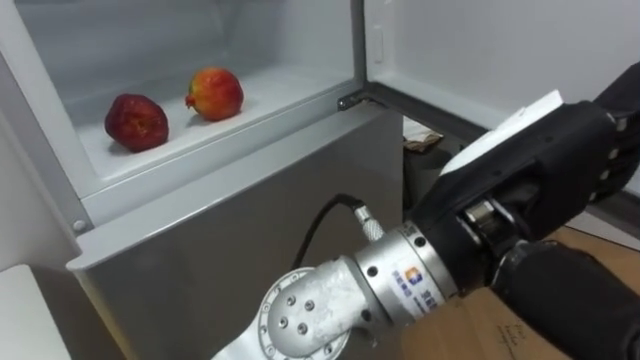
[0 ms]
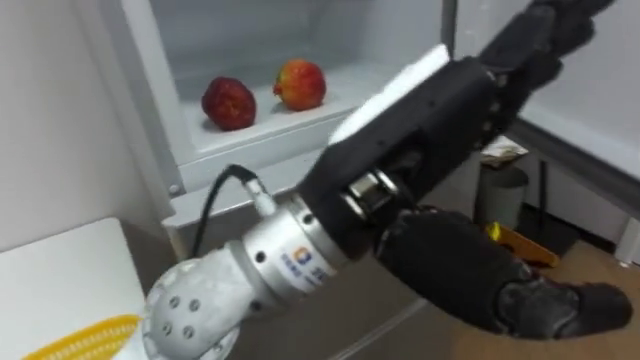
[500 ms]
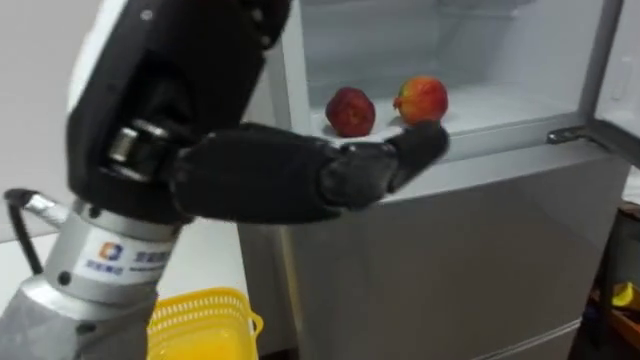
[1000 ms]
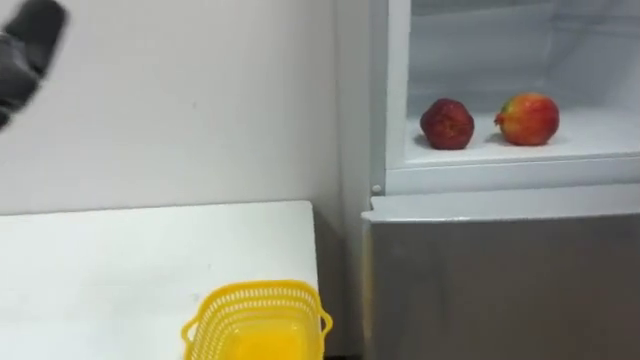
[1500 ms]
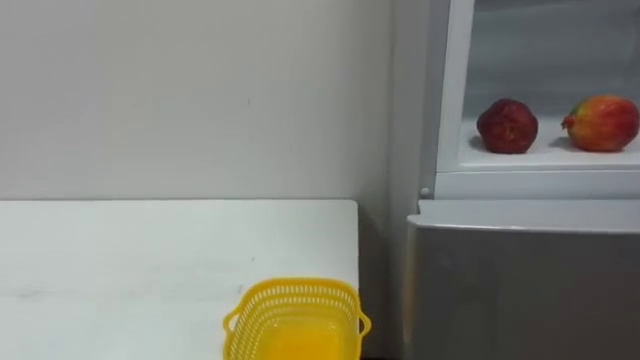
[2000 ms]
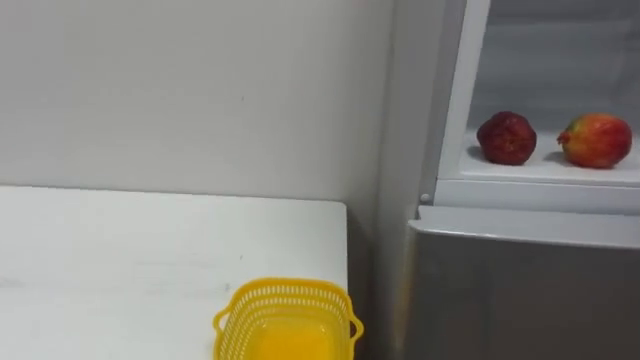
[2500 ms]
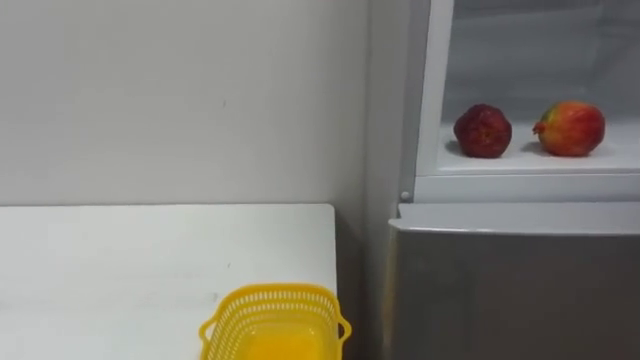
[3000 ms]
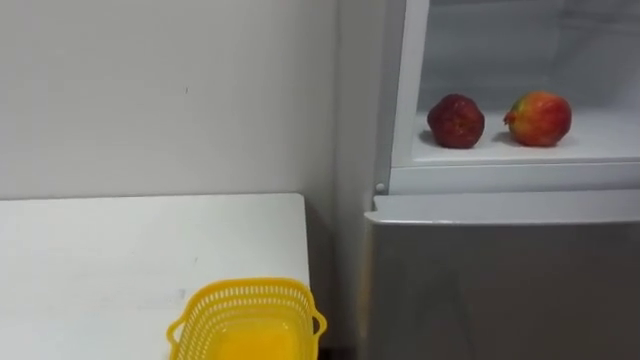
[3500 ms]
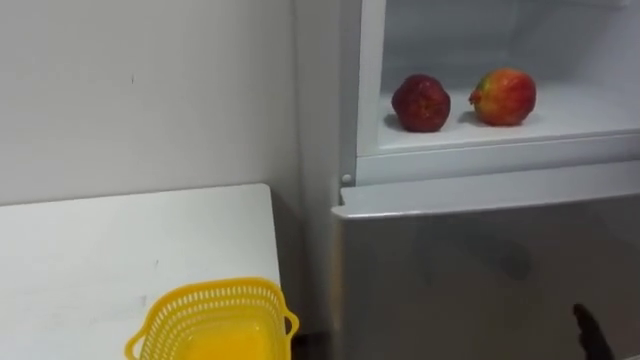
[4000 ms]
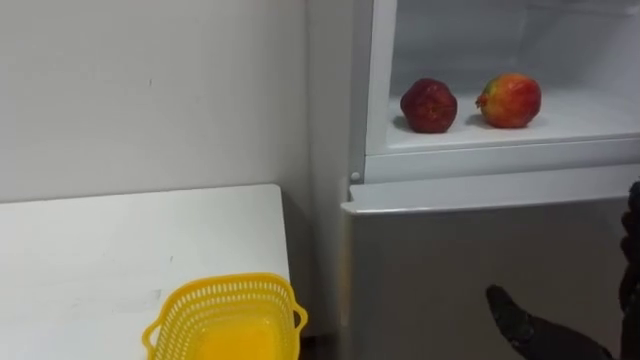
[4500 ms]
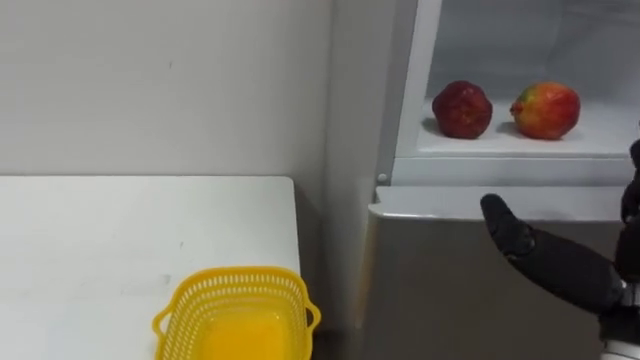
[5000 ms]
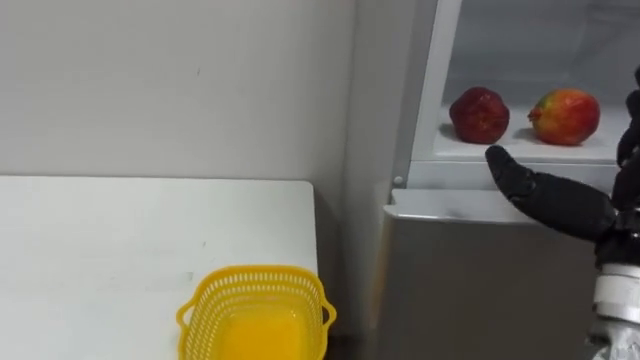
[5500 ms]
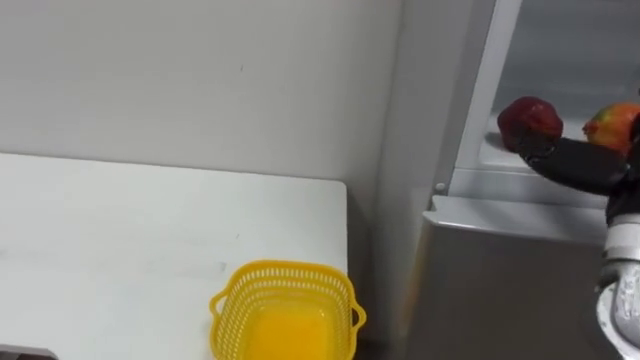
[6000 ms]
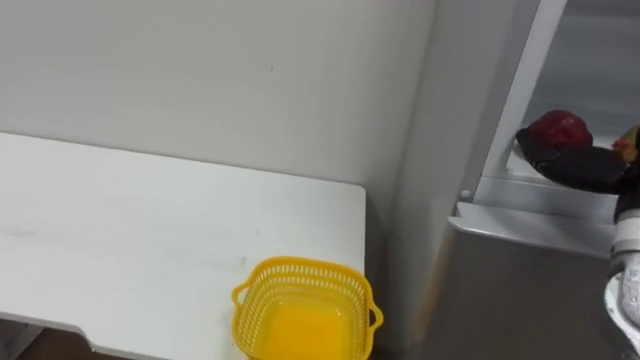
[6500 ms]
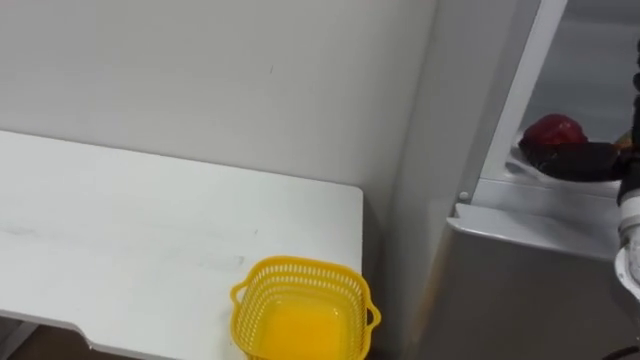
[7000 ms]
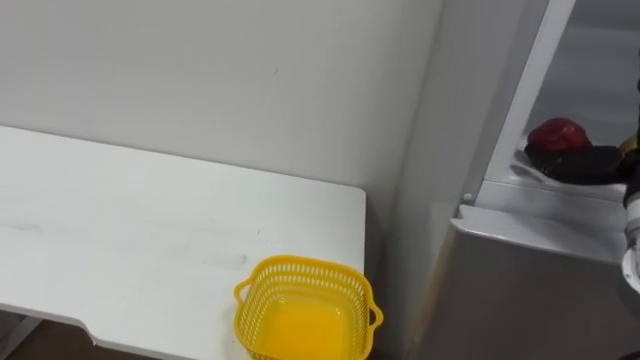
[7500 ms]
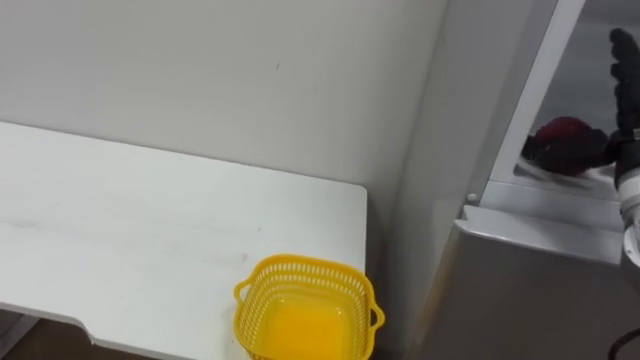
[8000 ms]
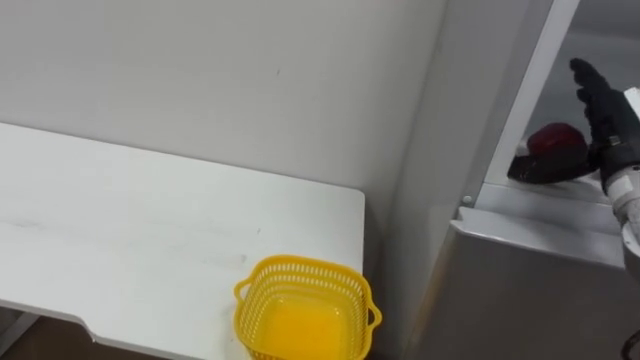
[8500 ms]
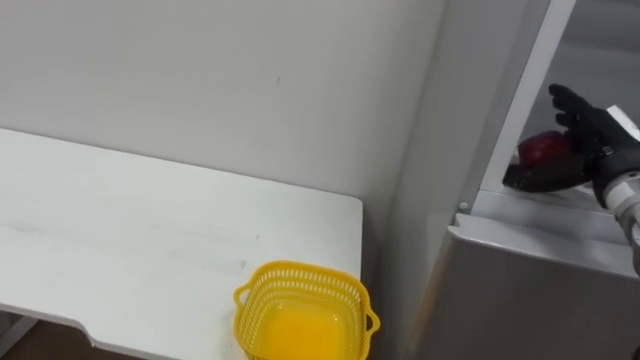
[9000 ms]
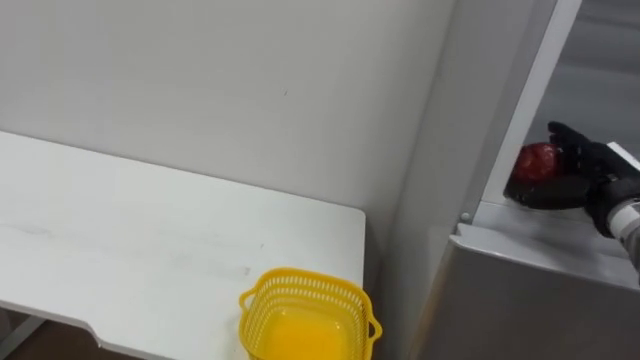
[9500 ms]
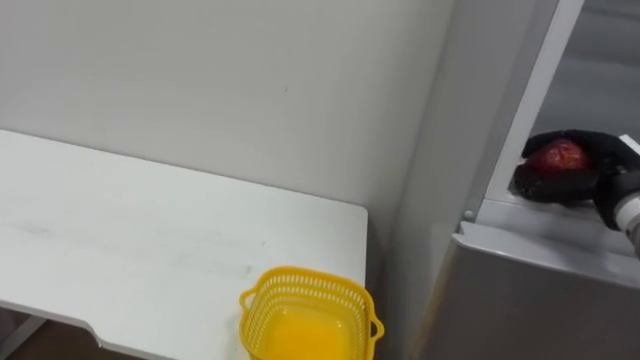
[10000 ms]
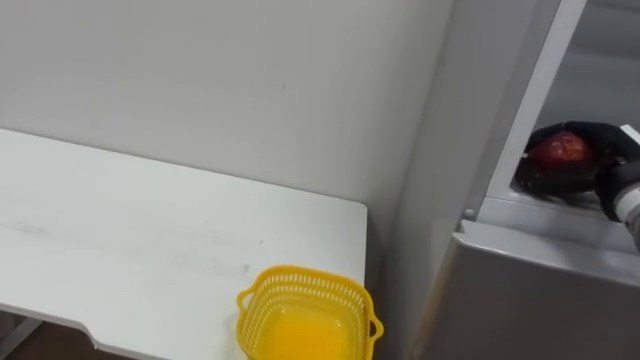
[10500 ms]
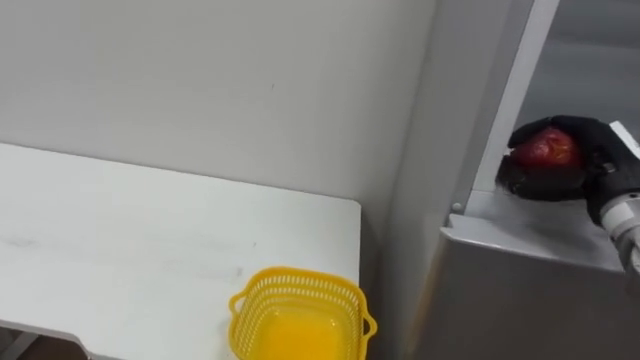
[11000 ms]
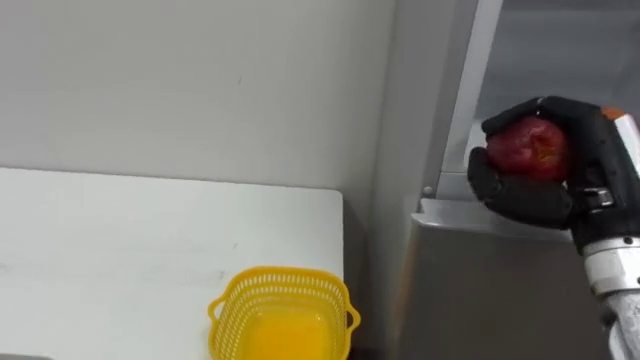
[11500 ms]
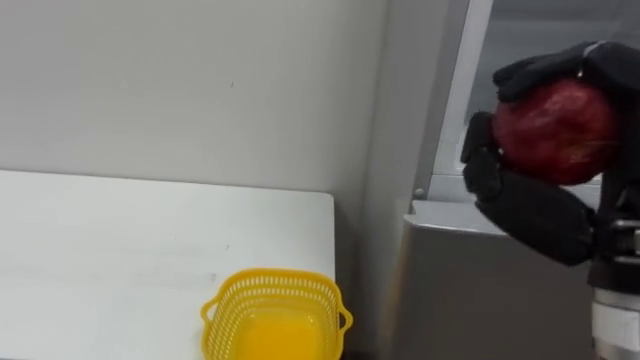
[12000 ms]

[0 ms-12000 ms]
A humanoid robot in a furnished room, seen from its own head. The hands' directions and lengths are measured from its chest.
Task of the whole recording: Open the refrigerator door, take out the apple and the pomegranate, place them in the fruit basket on the left, and close the refrigerator door.
8000 ms to 10000 ms: The right hand is displaced downward by about 5 cm, and closes its fingers.
10000 ms to 12000 ms: The right hand travels backward, to the left and upward by some 25 cm.

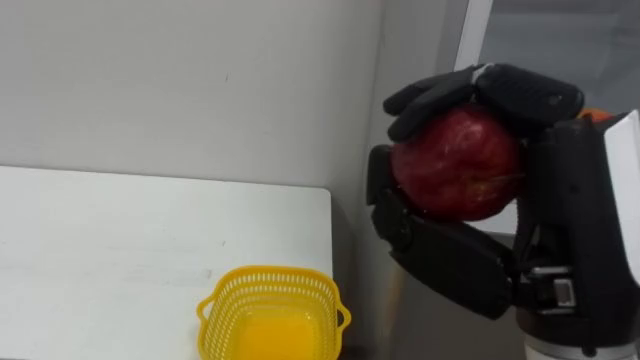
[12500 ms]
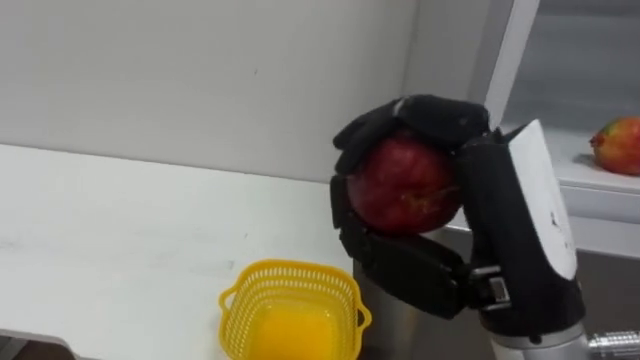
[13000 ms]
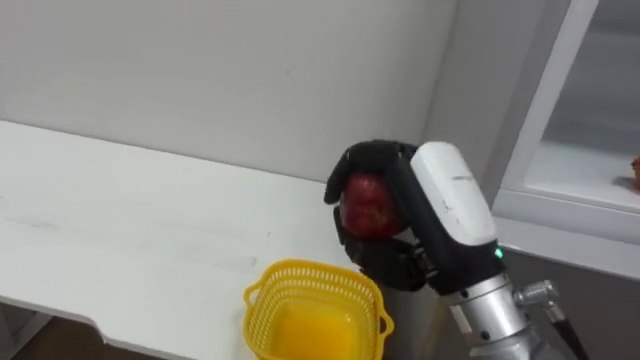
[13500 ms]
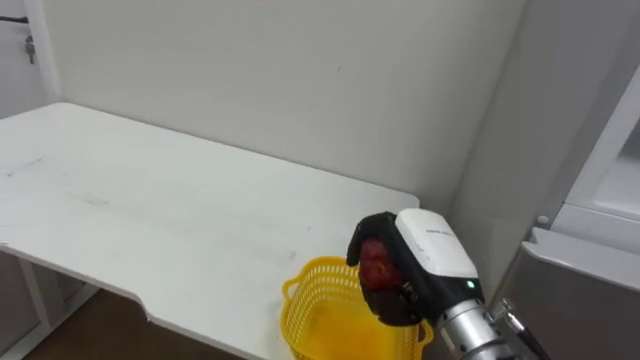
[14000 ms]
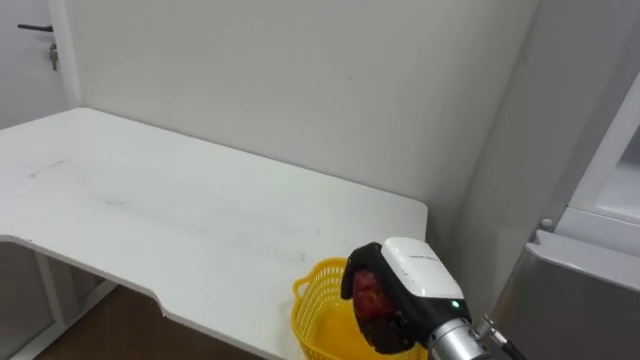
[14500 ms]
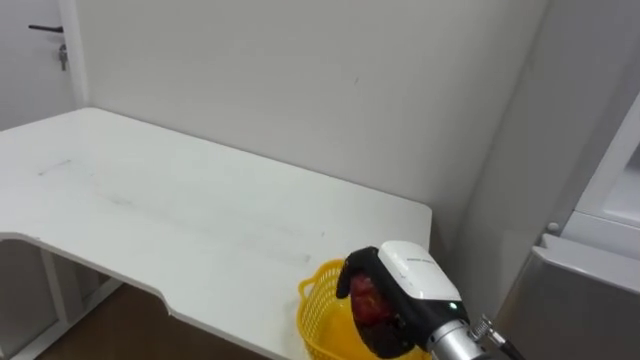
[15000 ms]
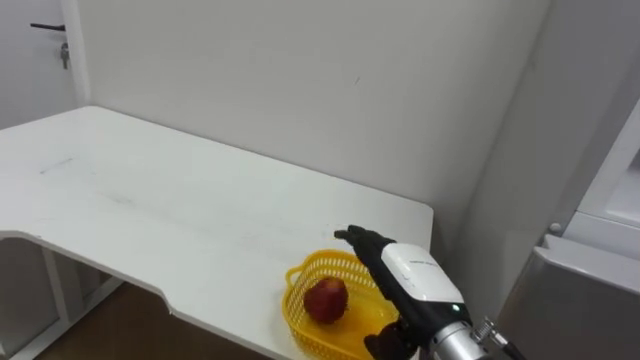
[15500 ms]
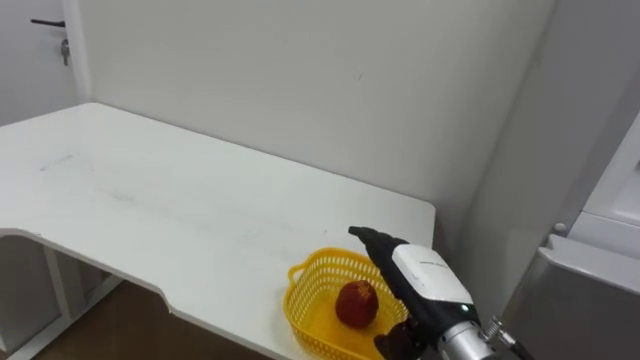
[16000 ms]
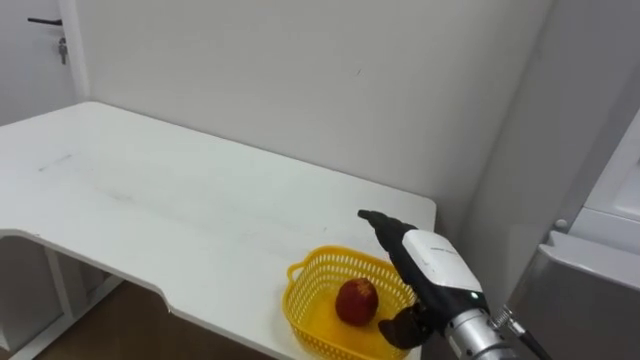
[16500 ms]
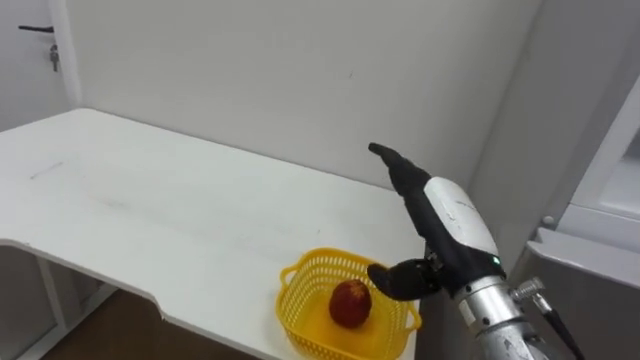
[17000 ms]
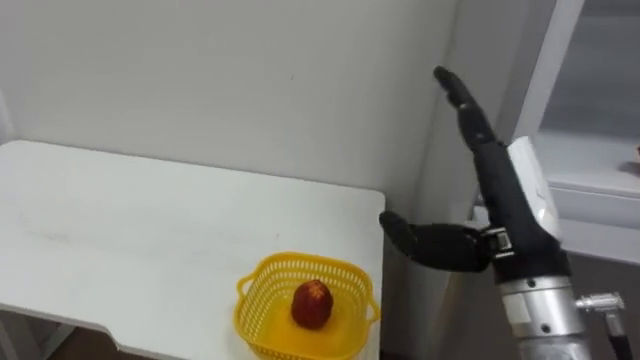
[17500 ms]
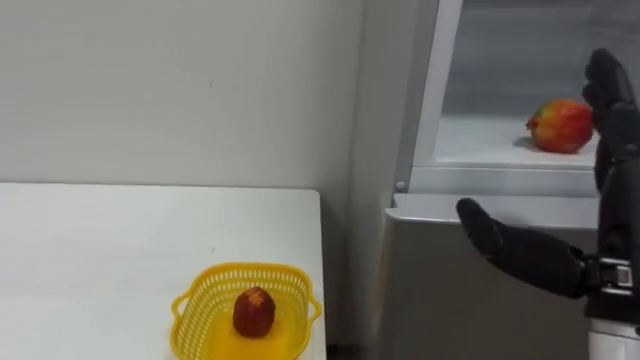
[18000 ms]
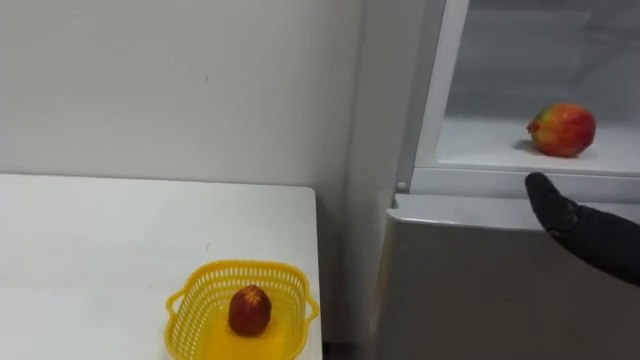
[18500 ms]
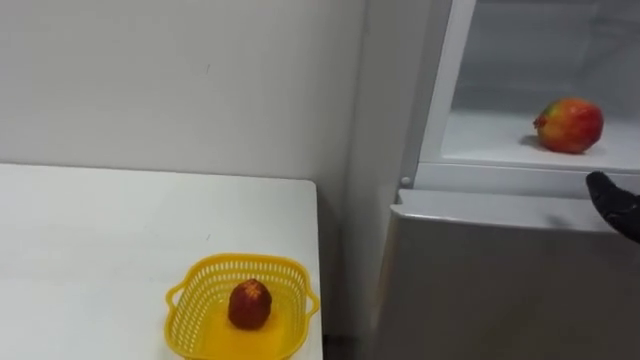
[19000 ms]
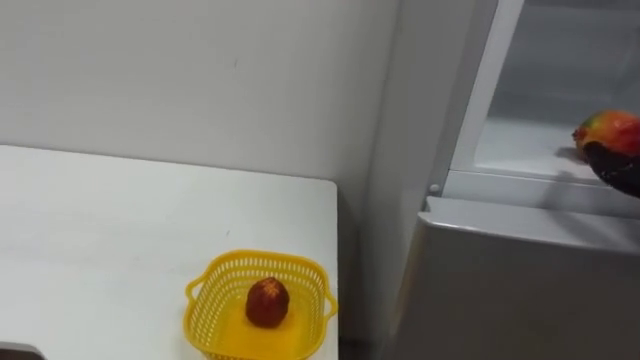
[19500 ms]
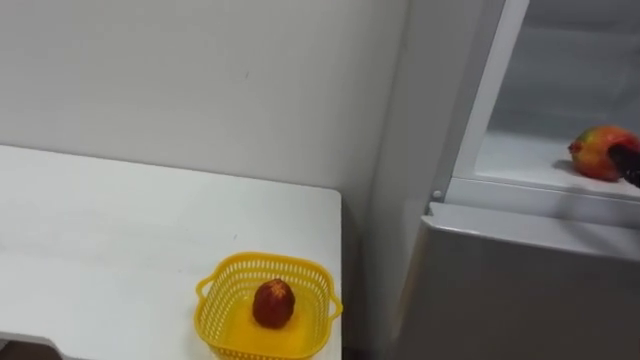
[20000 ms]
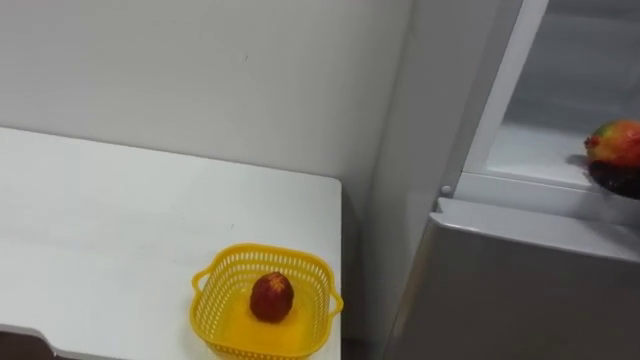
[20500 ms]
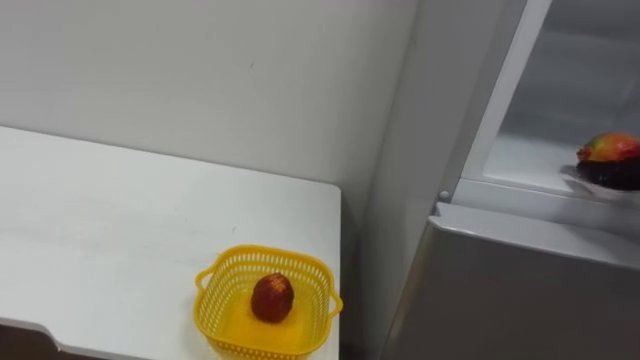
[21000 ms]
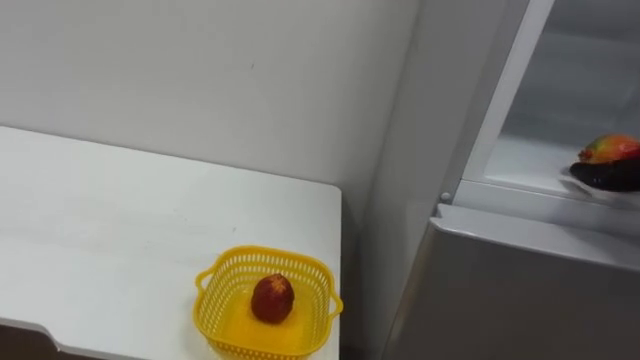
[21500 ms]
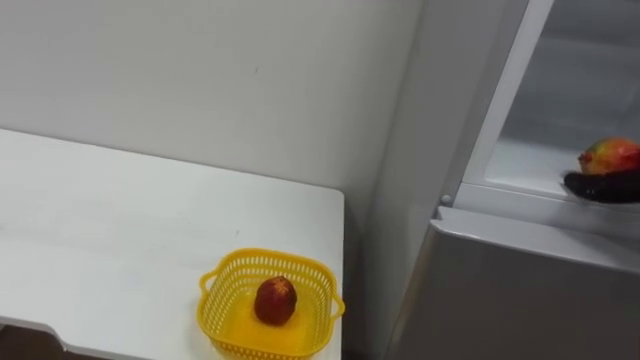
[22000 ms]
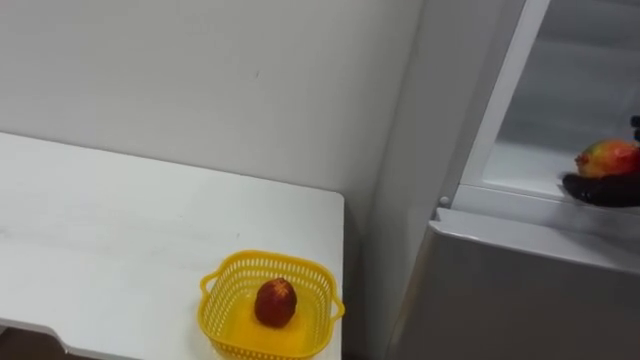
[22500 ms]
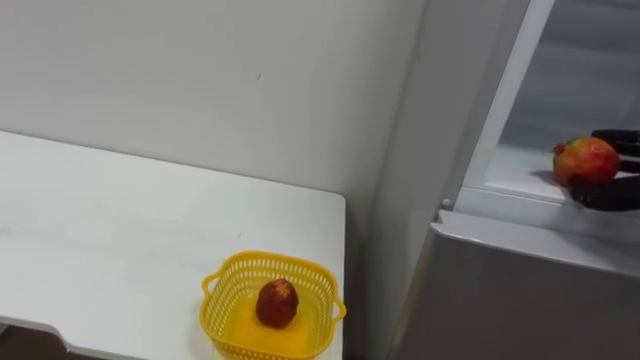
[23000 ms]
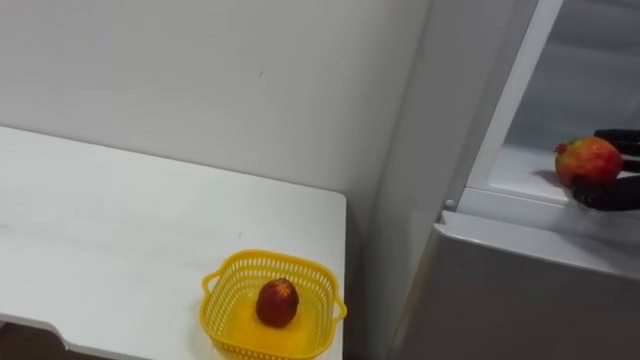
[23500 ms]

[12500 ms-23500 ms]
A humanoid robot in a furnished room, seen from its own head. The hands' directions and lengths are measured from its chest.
Task of the whole recording: Open the refrigerator door, take out the apple and the pomegranate, place them in the fruit basket on the left, and close the refrigerator door.
12500 ms to 14500 ms: The right hand heads downward and forward, covering roughly 25 cm.
14500 ms to 16000 ms: The right hand opens.
16000 ms to 18000 ms: The right hand heads upward, to the right and backward, covering about 20 cm.
